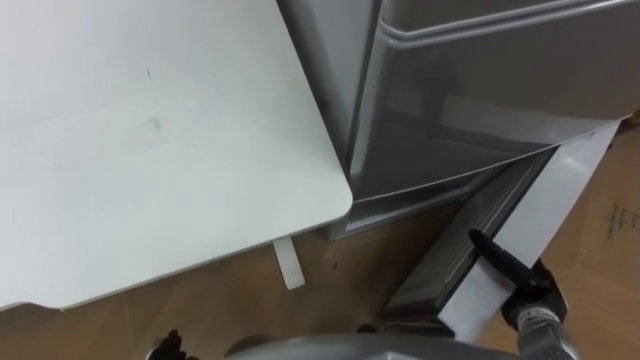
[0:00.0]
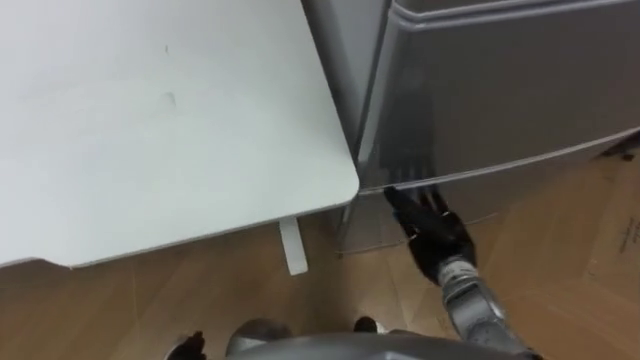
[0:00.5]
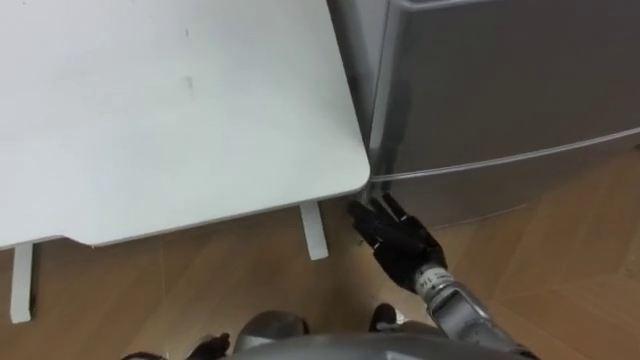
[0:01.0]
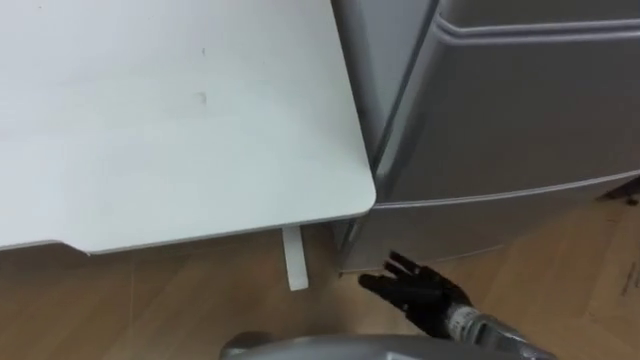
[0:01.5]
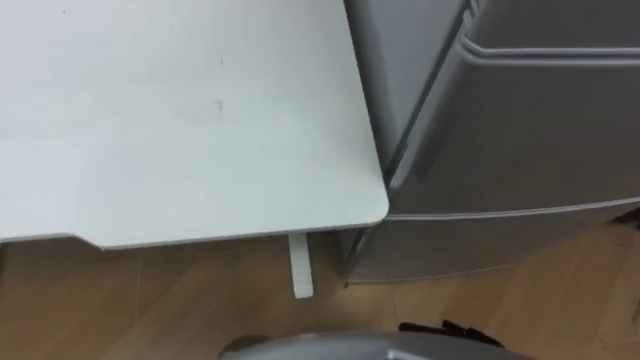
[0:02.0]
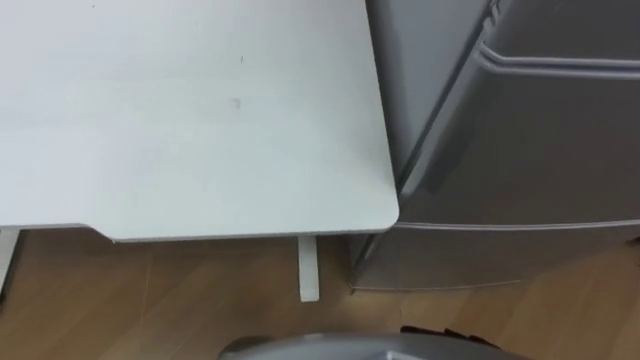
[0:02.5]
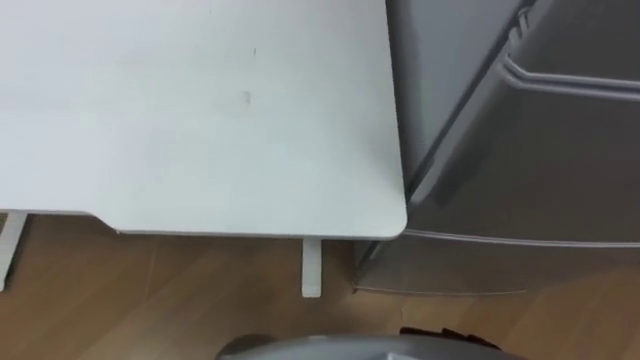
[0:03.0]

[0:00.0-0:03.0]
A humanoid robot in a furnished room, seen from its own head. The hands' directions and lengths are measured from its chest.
Task of the whole recording: Place the drink on the table on the bottom shelf of the refrigerator, then close the drawer and the refrigerator door.
0:00.0 to 0:01.5: The right hand moves to the left, roughly 15 cm.

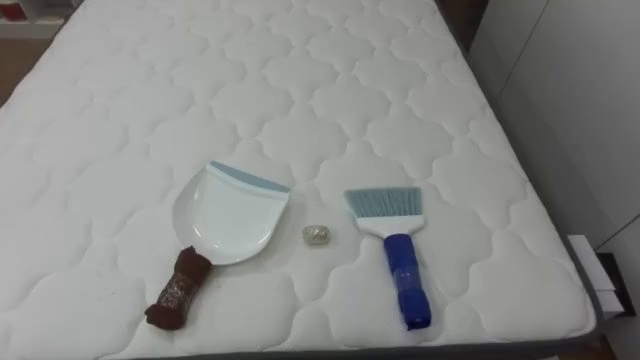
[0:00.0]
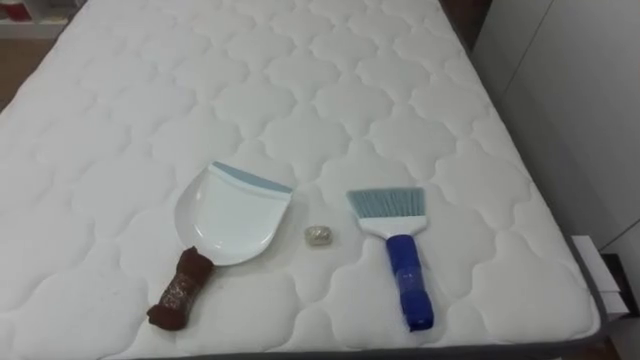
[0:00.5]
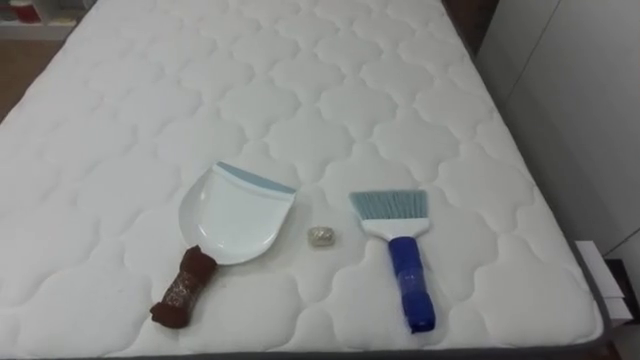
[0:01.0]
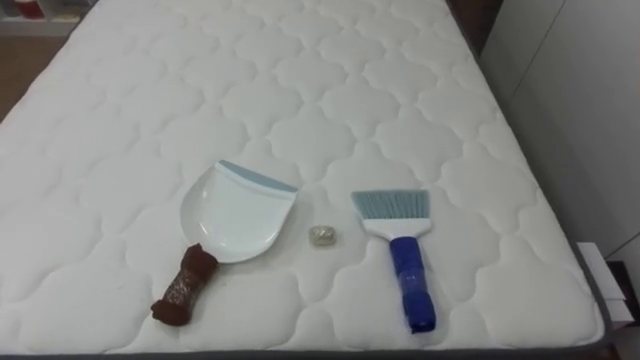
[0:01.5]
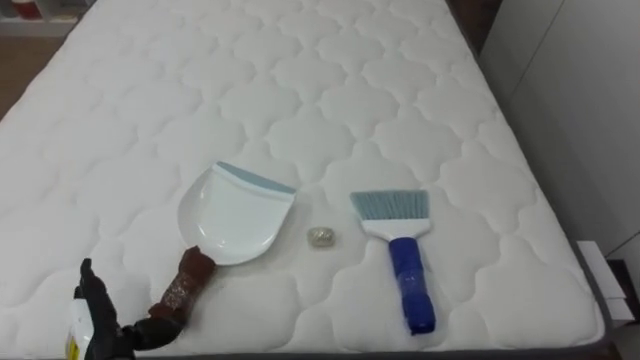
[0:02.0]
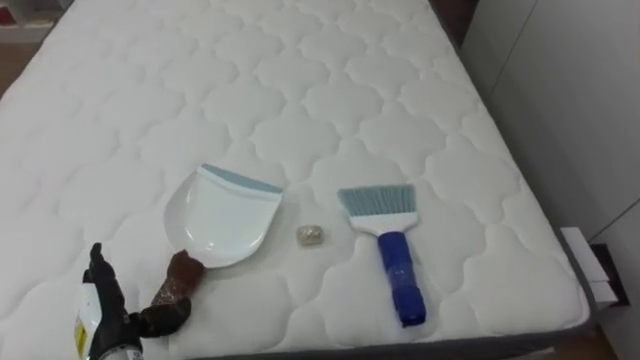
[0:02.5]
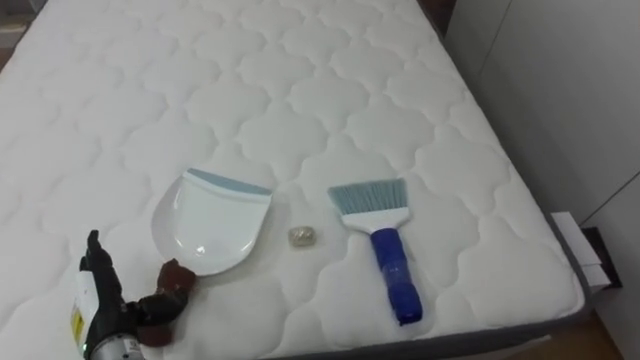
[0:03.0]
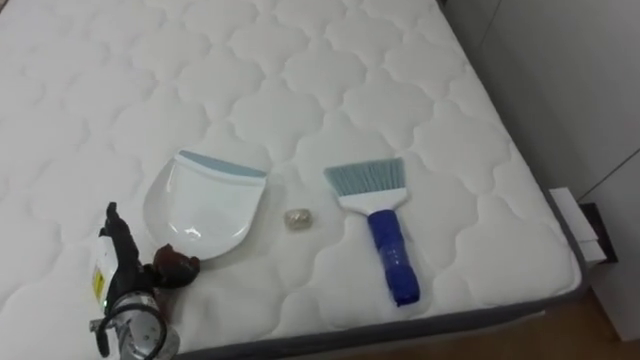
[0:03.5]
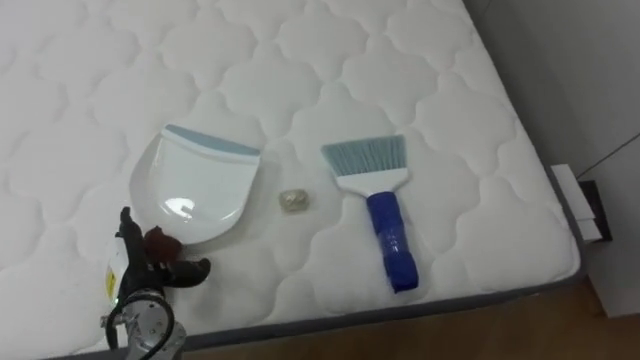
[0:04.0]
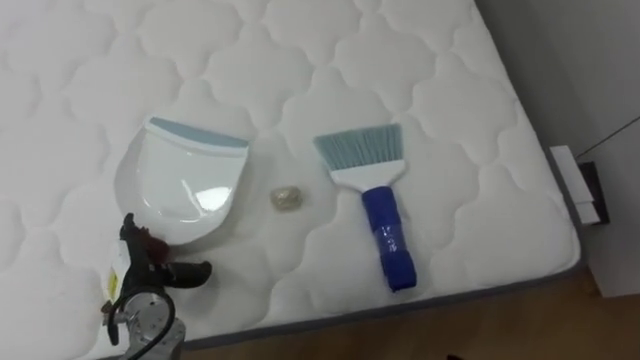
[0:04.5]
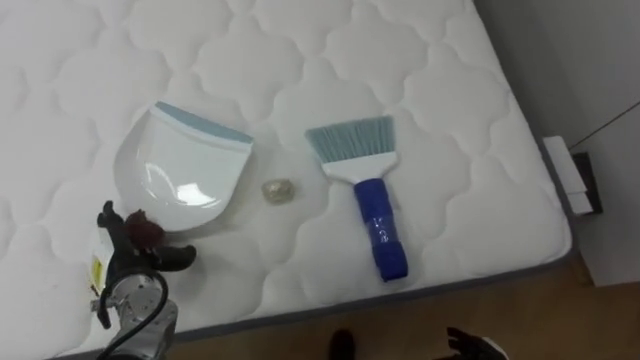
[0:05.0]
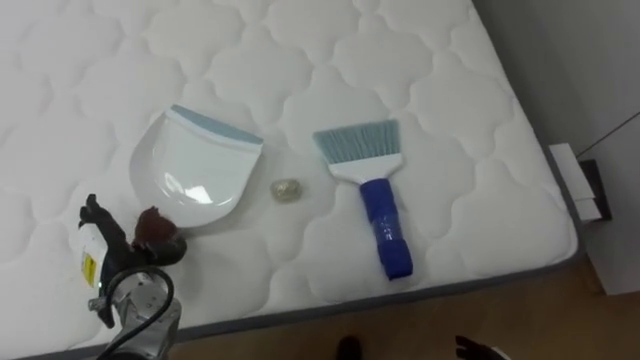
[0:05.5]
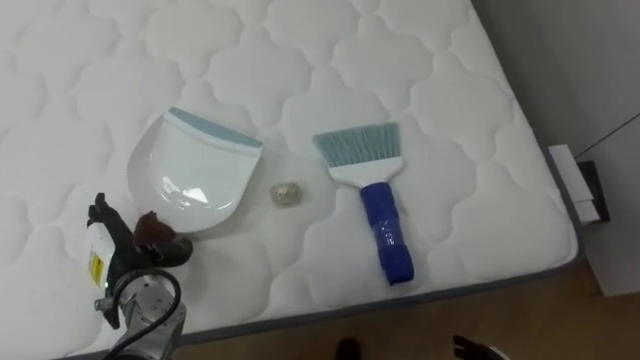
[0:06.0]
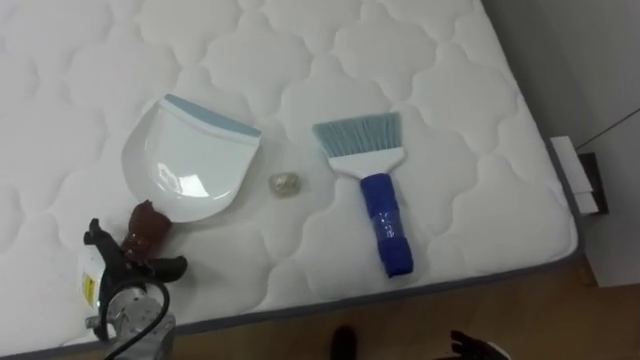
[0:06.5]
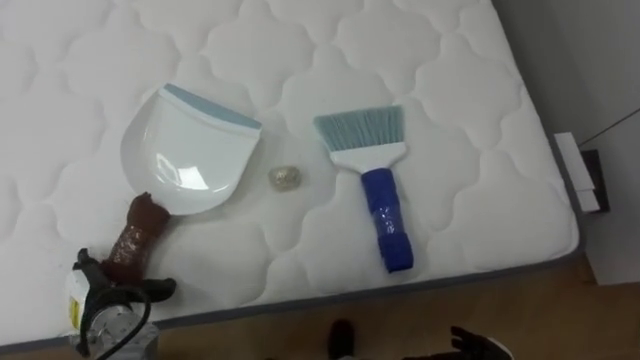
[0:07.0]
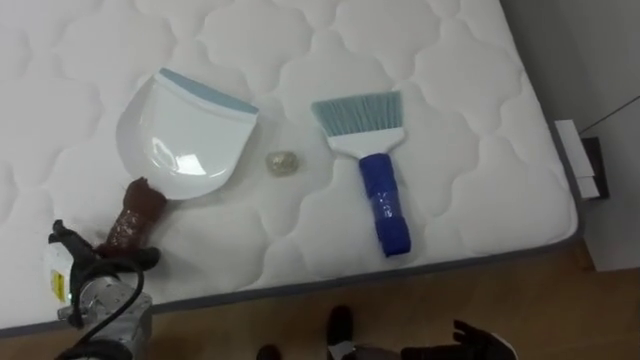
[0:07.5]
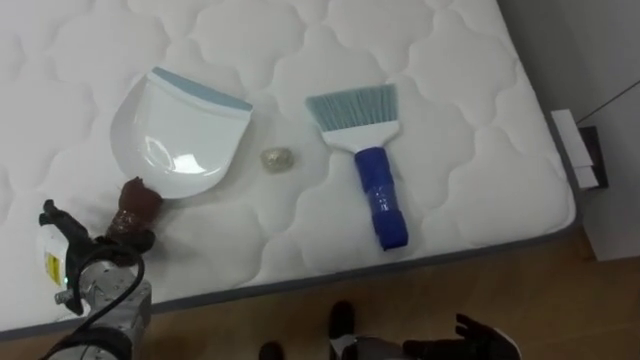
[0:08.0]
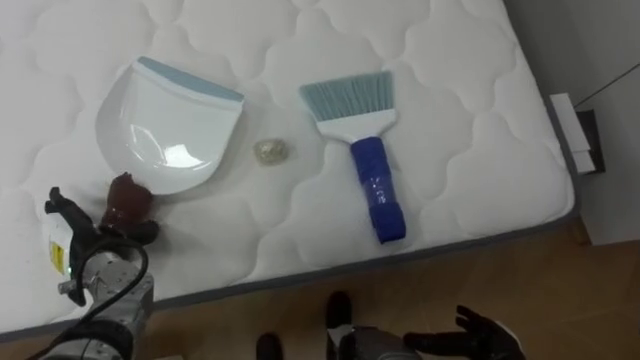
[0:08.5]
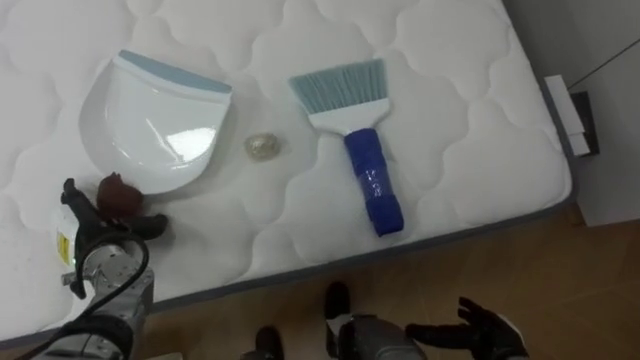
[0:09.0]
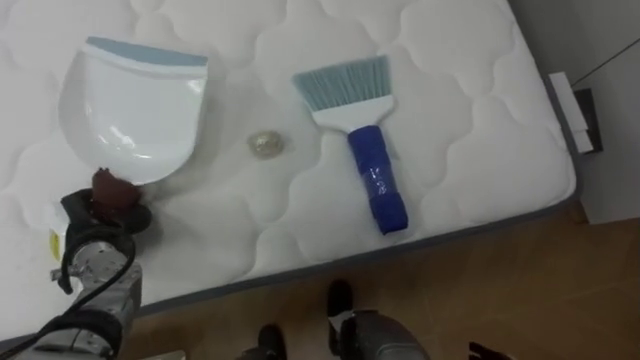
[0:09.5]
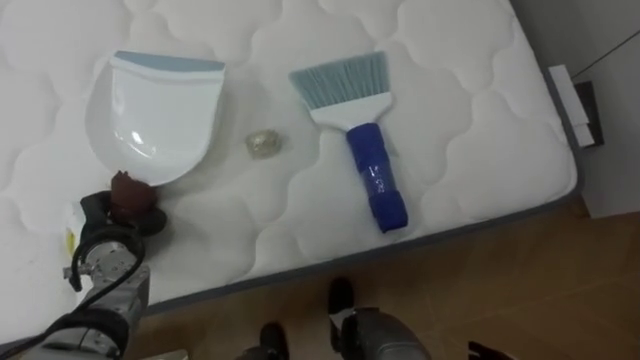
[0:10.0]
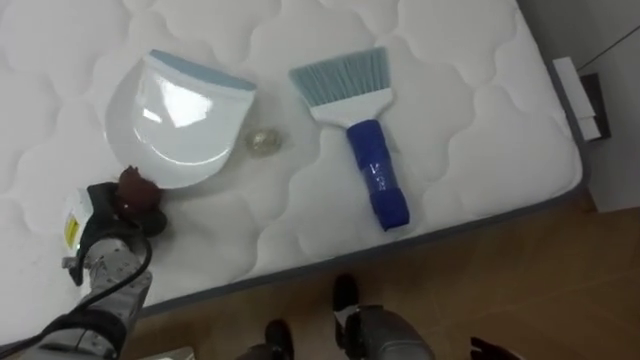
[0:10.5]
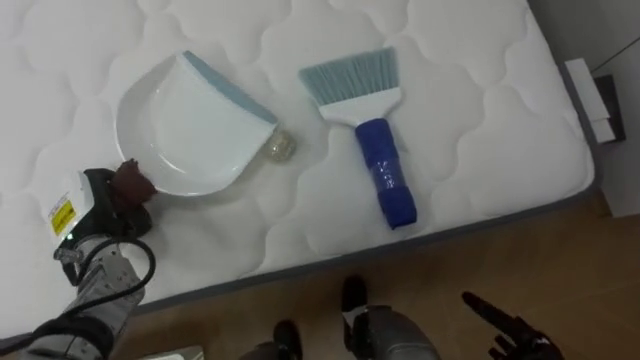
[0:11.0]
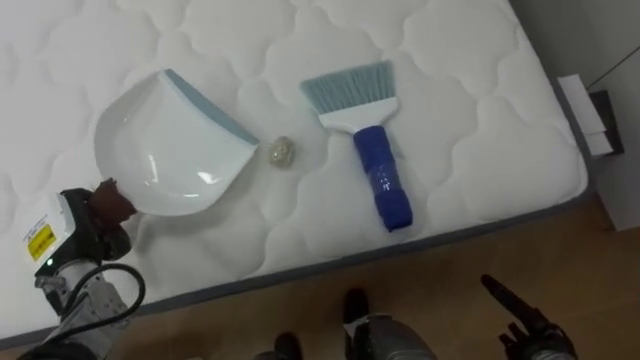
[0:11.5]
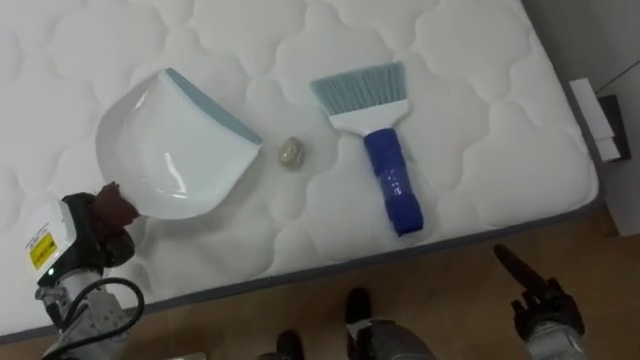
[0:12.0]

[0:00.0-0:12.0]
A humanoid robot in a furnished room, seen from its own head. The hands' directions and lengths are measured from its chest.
Task of the whole recording: Pick up the brush on your right and the dustpan on your left. Use the brush to sweep the crumpled paper on the bed into the dustpan, then turn left and empty it into the basket.
0:02.0 to 0:04.0: The left hand goes approximately 10 cm forward.
0:06.0 to 0:08.0: The left hand changes place by about 5 cm.
0:08.0 to 0:10.0: The left hand closes its fingers.

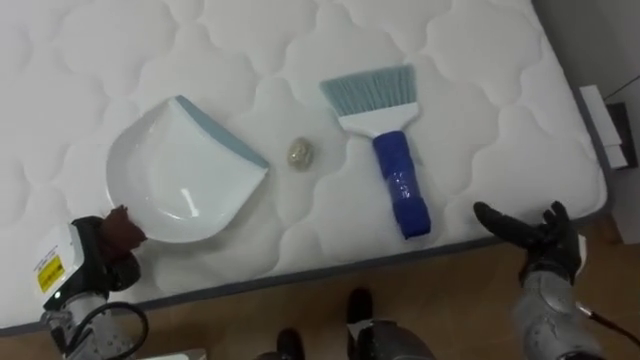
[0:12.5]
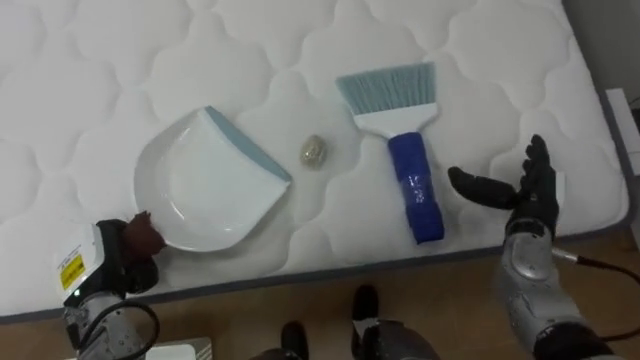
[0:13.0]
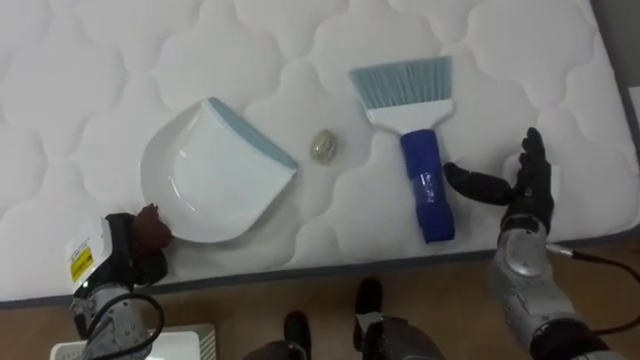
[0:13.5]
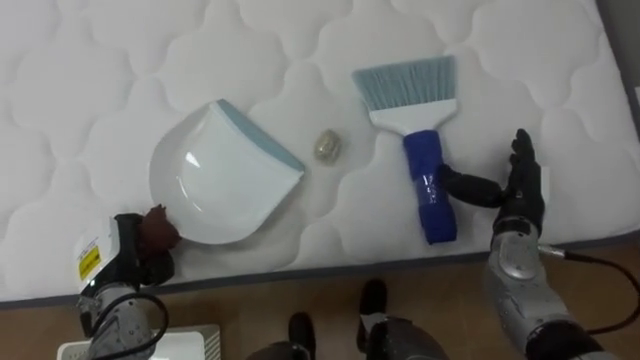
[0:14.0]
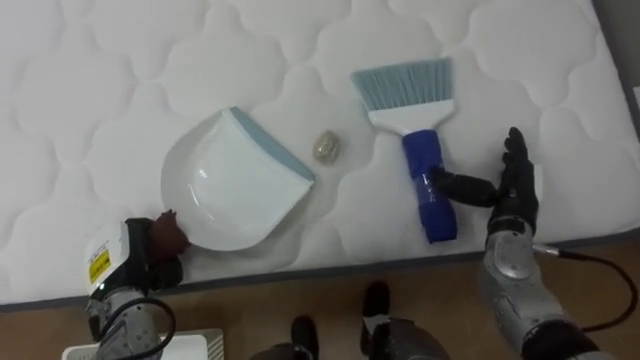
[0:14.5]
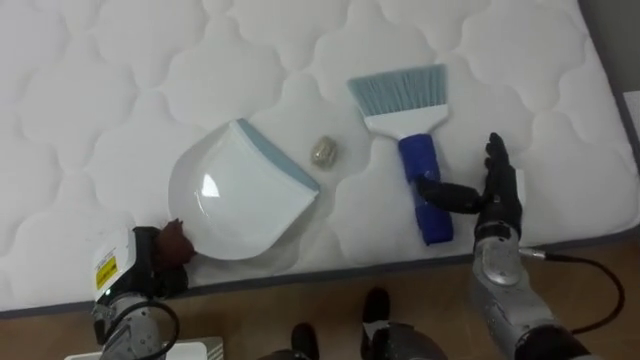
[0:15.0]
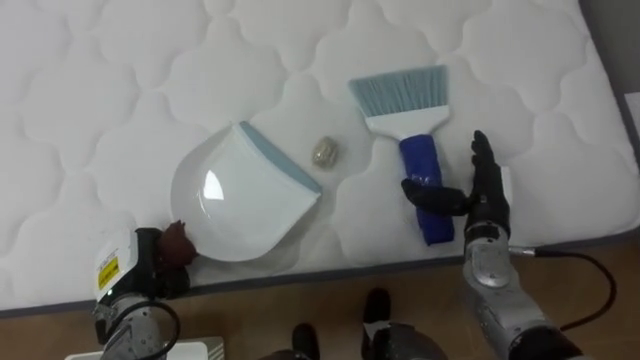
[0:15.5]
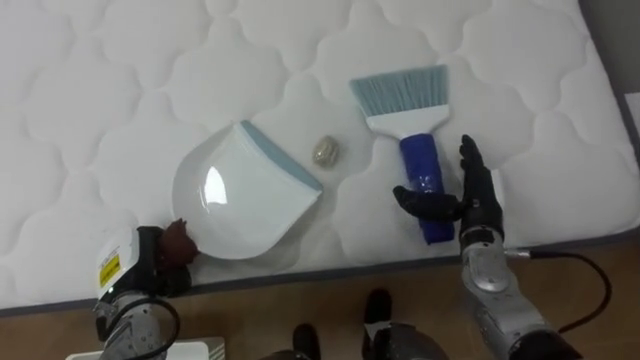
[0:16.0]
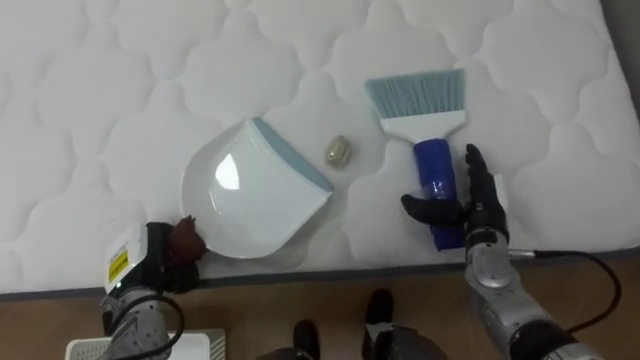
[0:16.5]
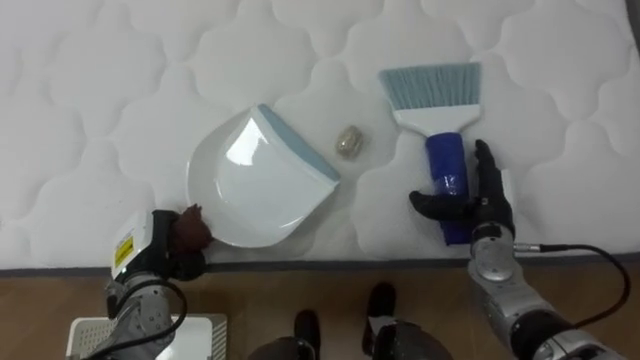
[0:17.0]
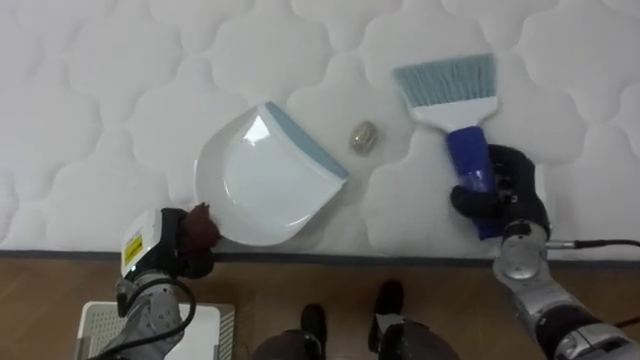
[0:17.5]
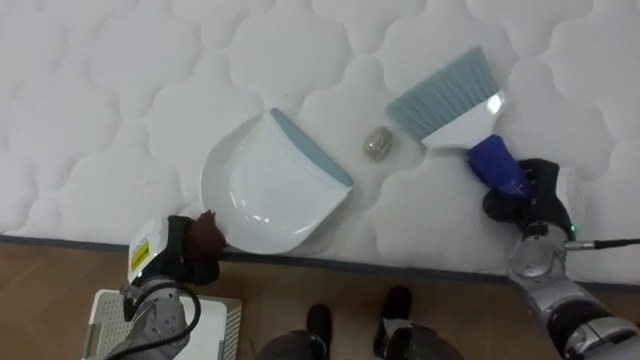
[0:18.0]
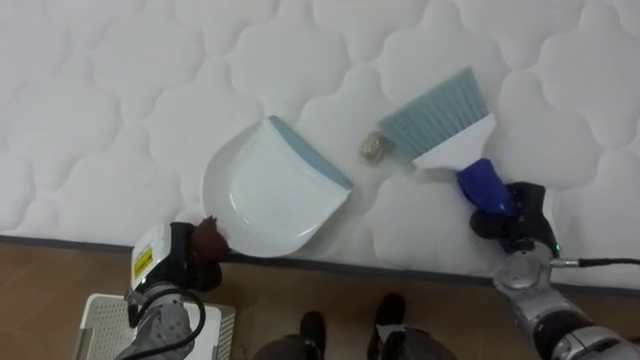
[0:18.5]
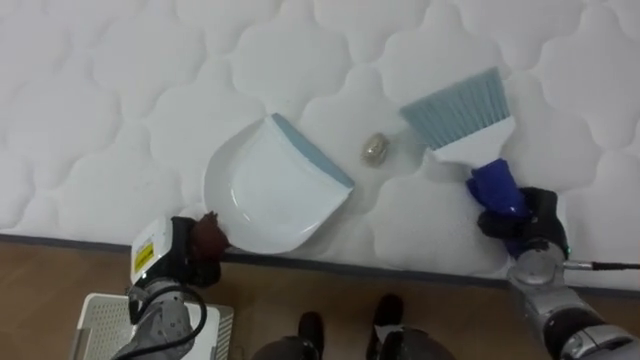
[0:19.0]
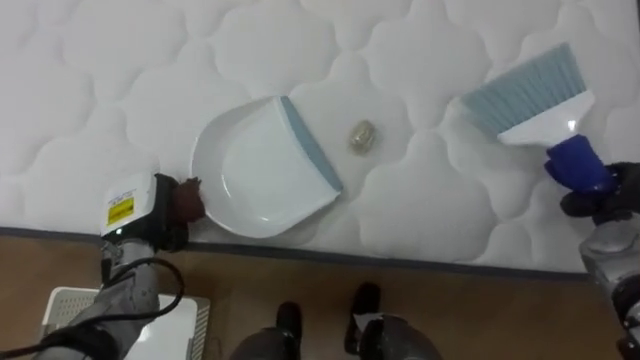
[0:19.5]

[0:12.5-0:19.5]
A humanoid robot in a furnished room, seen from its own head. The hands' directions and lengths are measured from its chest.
Task of the whole recording: Pick up the brush on your right and the dustpan on your left. Use the brush to sweep the crumpled paper on the bed into the dustpan, then turn left and empty it into the basket.
0:12.5 to 0:14.5: The right hand is displaced upward, forward and to the left by approximately 10 cm. The left hand changes place by roughly 5 cm.
0:14.5 to 0:16.0: The hands make only small movements.
0:16.0 to 0:17.5: The right hand goes approximately 5 cm to the right.
0:17.5 to 0:19.5: The right hand travels to the right by approximately 15 cm, and closes its fingers. Meanwhile the left hand ends up approximately 5 cm from where it was.
